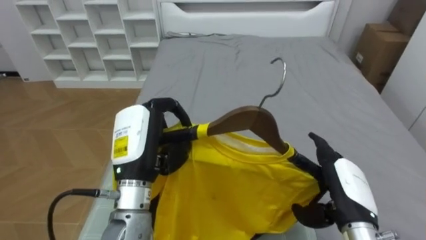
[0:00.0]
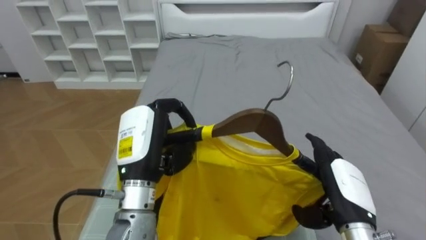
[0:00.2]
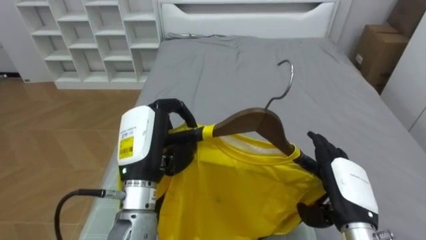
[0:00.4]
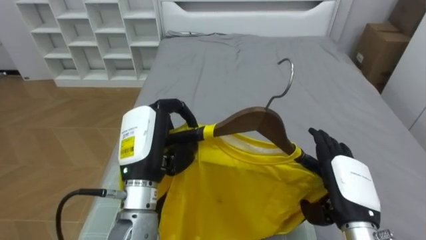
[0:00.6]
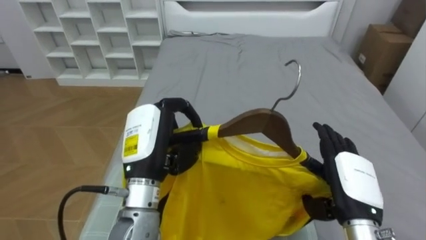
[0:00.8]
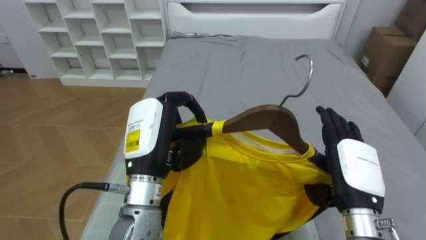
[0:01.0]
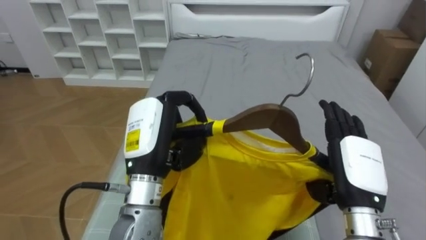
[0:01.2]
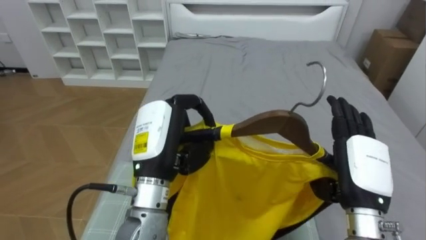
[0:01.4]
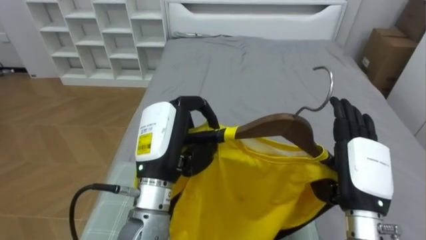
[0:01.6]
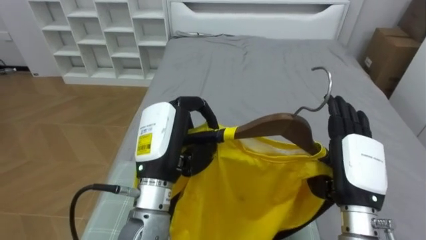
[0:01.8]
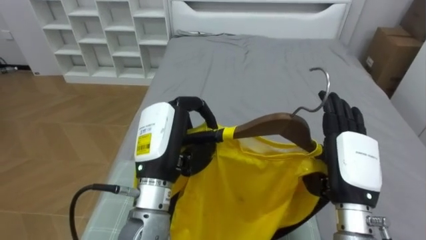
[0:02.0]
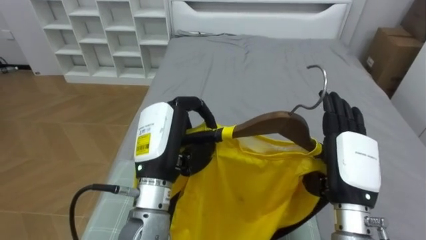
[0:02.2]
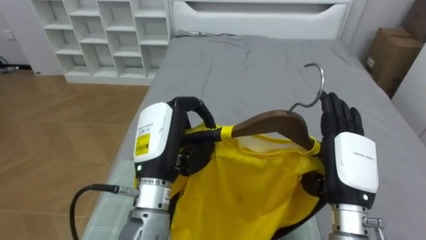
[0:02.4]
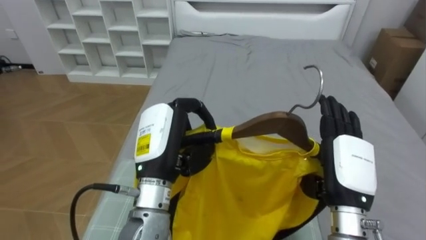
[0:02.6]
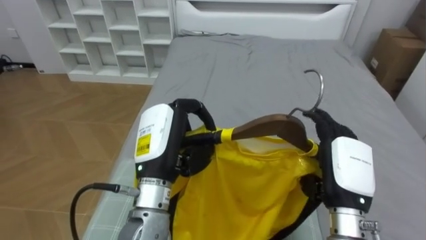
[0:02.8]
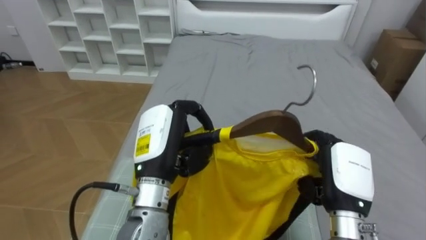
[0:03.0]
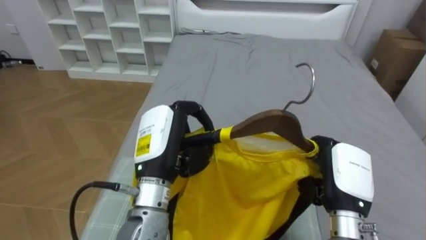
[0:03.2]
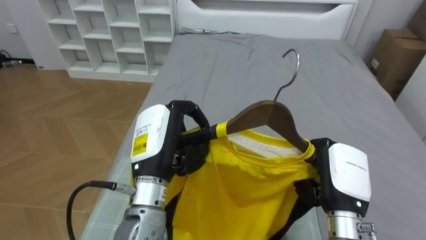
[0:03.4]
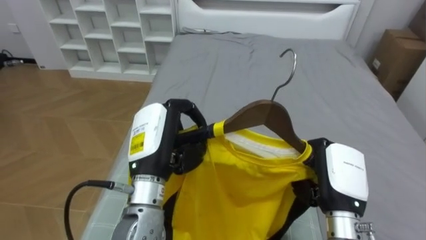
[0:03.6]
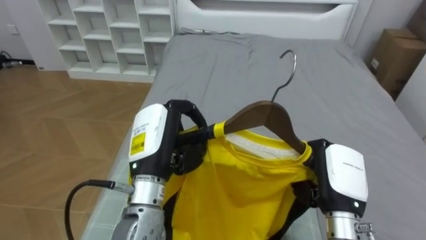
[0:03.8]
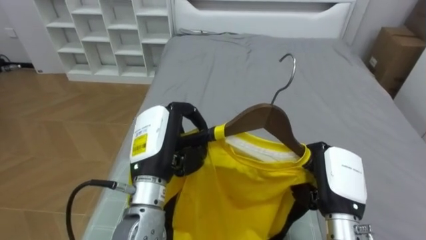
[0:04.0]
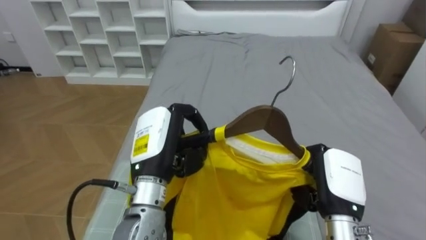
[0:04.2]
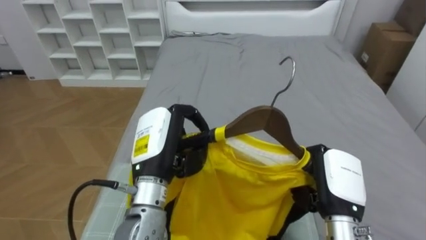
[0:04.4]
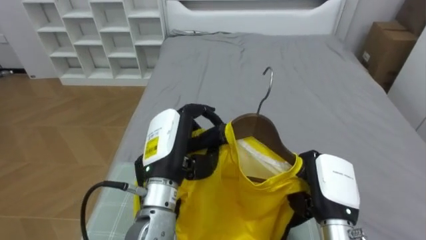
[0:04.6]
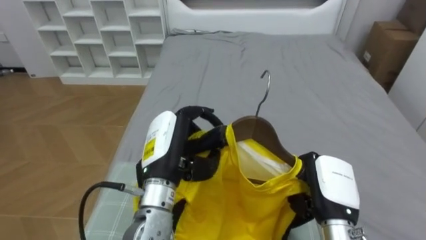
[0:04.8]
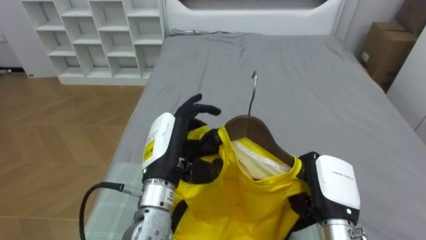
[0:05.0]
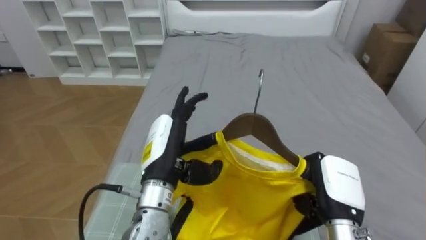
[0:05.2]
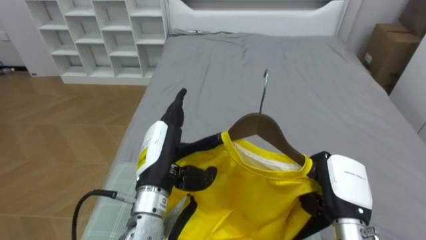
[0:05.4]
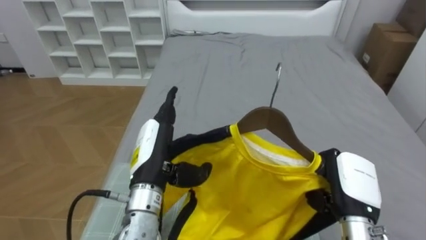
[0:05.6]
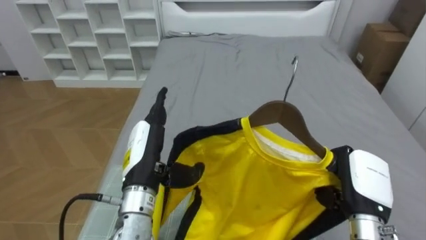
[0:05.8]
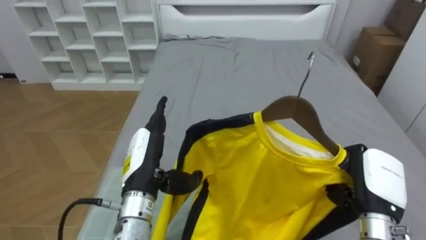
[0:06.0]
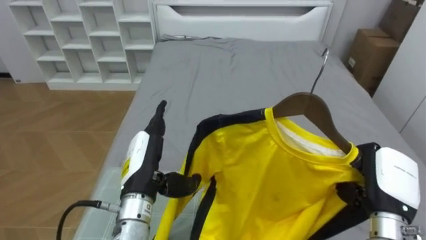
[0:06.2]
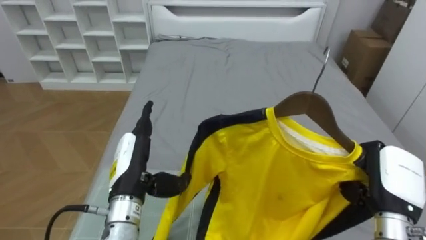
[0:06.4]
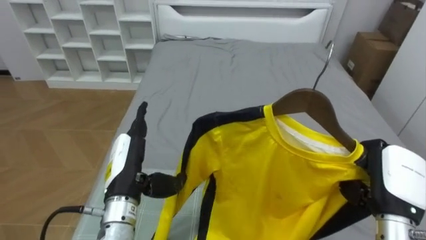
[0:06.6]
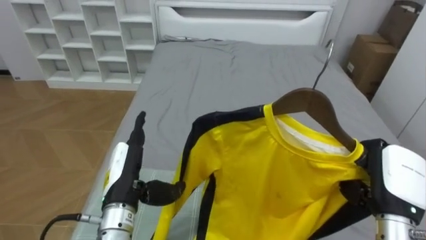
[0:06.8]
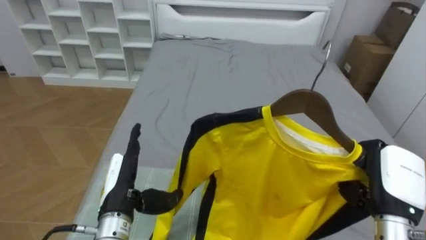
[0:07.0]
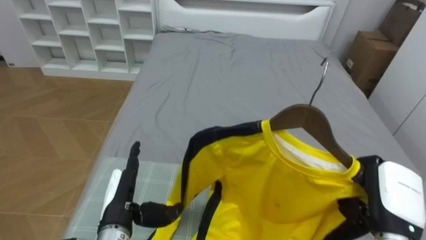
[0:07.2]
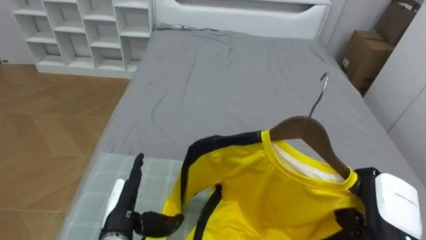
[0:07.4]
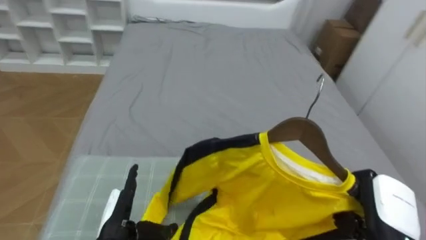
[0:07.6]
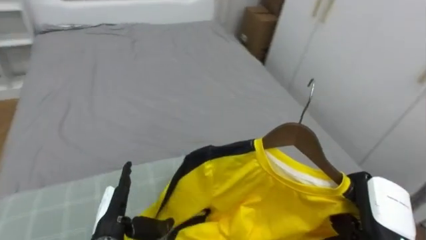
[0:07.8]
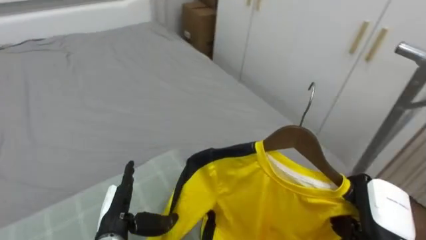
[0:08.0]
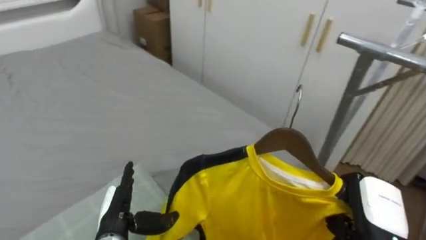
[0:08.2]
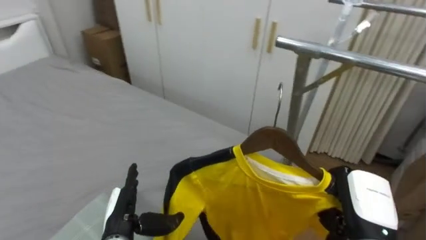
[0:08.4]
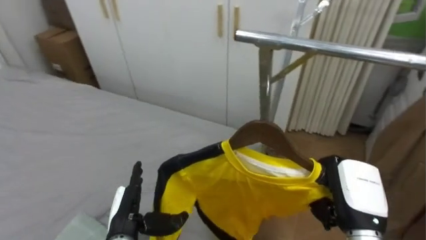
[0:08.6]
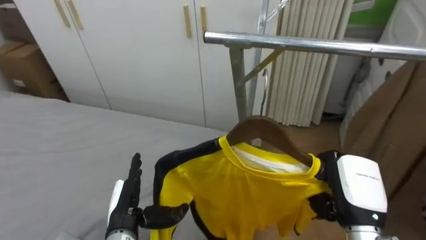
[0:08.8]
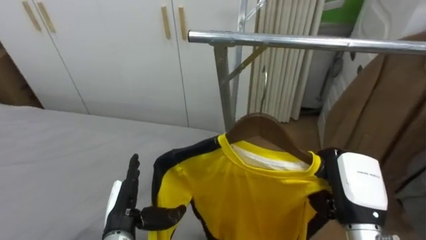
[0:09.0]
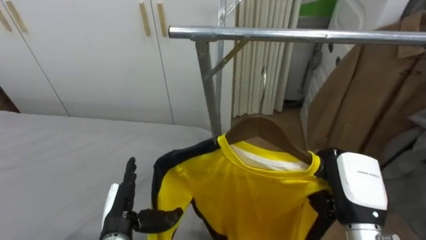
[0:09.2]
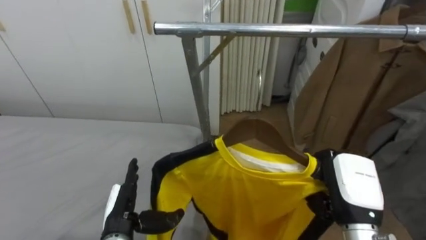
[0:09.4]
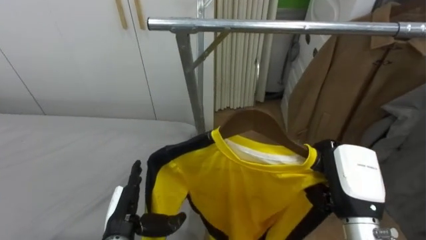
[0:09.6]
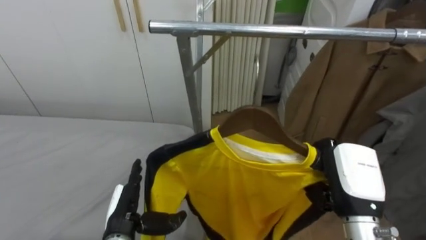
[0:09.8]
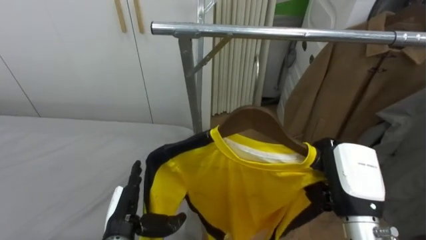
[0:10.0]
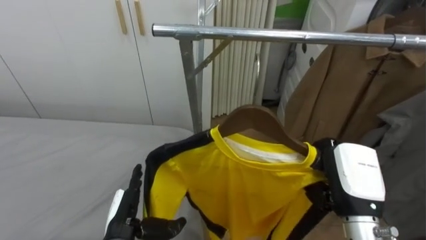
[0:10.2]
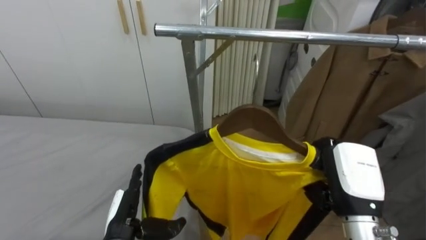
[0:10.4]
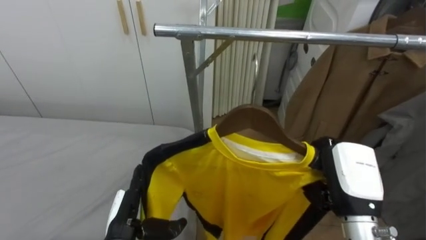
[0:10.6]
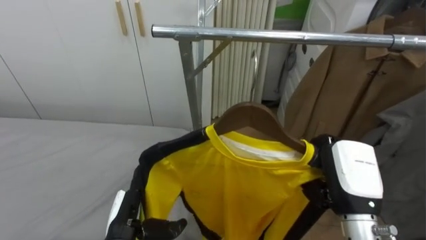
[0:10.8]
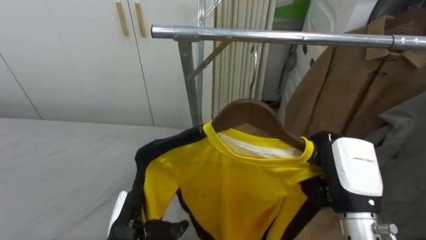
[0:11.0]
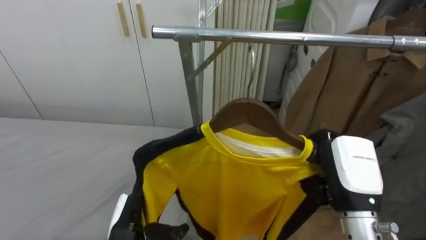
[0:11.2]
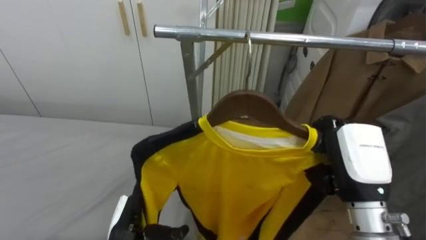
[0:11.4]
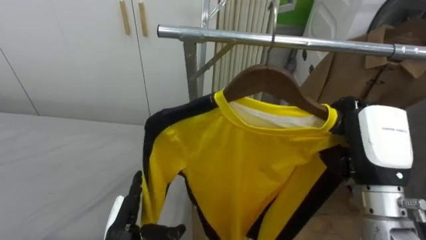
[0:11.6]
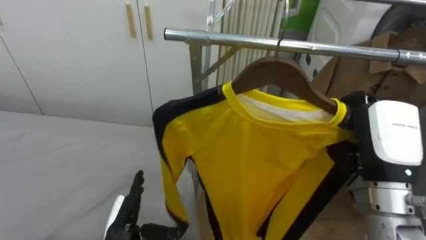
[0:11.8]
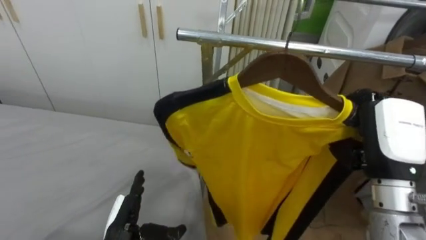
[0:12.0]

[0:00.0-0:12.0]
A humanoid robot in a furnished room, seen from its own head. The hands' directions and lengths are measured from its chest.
Task of the whole recording: Pick up the yellow shirt on the bed and hang it on the clothes rack on the right.
0:00.0 to 0:01.6: The right hand moves roughly 5 cm.
0:01.6 to 0:03.0: The right hand closes its fingers.
0:03.0 to 0:04.4: The right hand closes its fingers.
0:04.4 to 0:06.0: The right hand is displaced to the right by about 5 cm. Meanwhile the left hand changes place by some 5 cm, and opens its fingers.
0:06.0 to 0:07.6: The left hand travels downward and to the left by roughly 15 cm.
0:07.6 to 0:09.0: The robot faces approximately 70 degrees further to its right. The right hand goes about 5 cm to the left.
0:10.4 to 0:12.0: The right hand travels upward by approximately 10 cm.

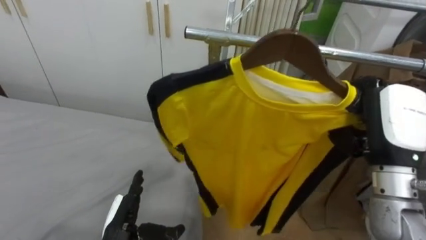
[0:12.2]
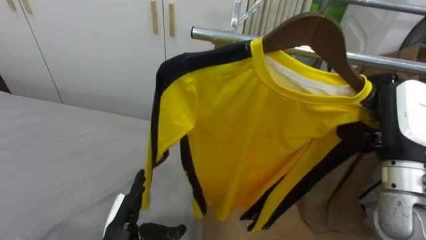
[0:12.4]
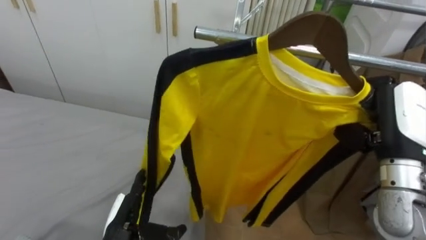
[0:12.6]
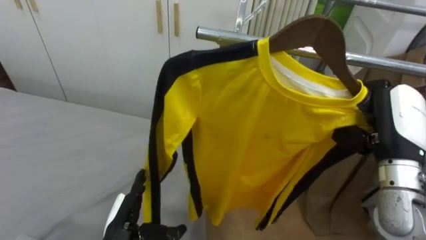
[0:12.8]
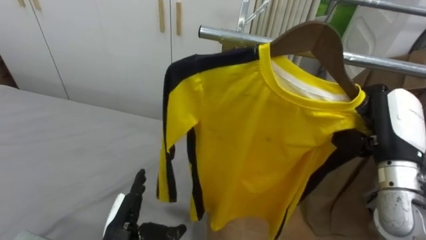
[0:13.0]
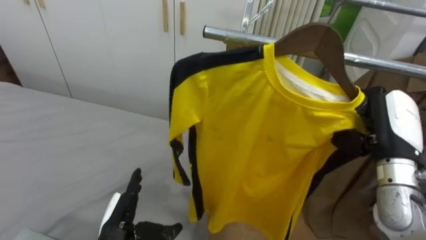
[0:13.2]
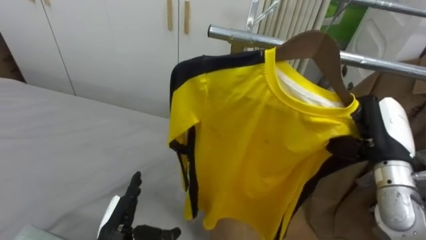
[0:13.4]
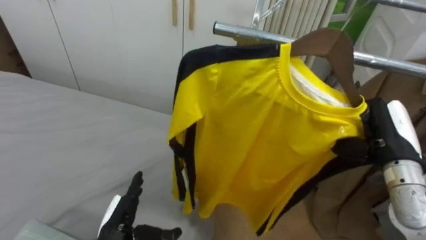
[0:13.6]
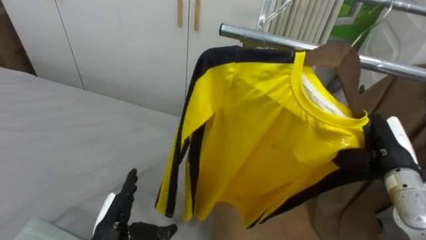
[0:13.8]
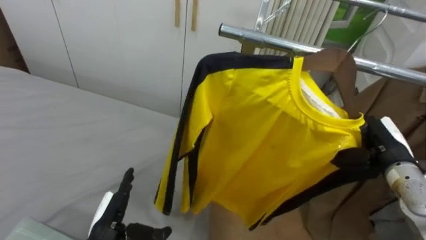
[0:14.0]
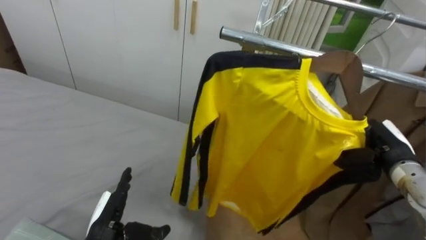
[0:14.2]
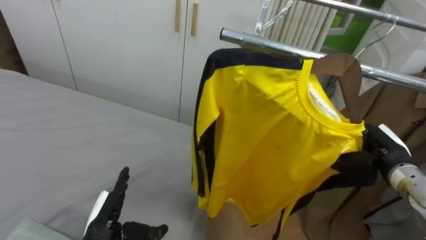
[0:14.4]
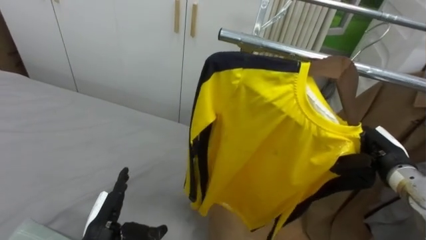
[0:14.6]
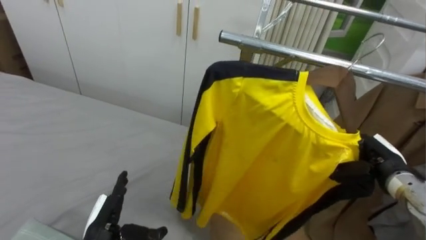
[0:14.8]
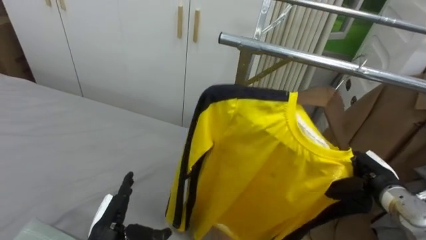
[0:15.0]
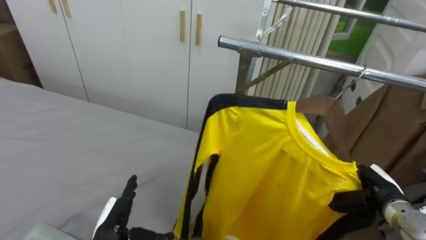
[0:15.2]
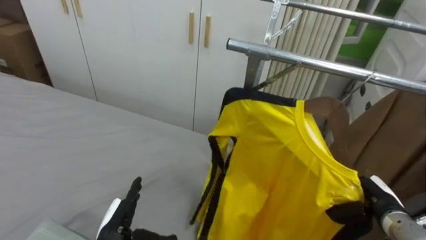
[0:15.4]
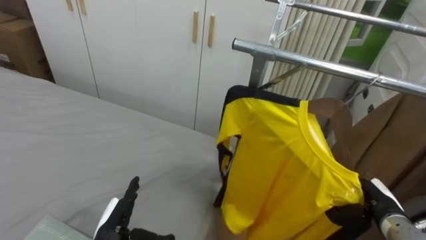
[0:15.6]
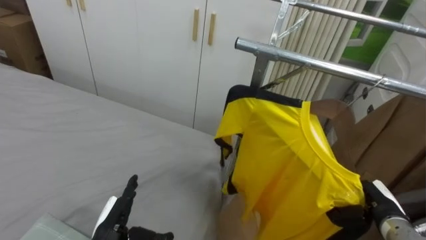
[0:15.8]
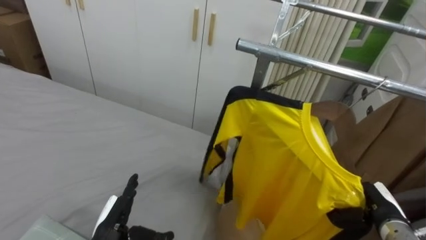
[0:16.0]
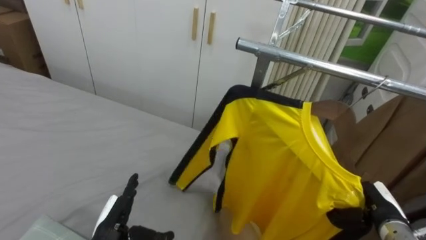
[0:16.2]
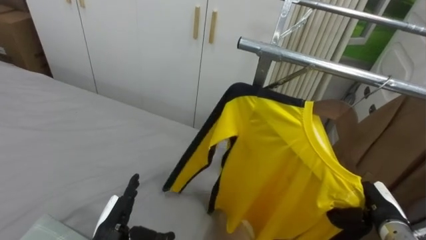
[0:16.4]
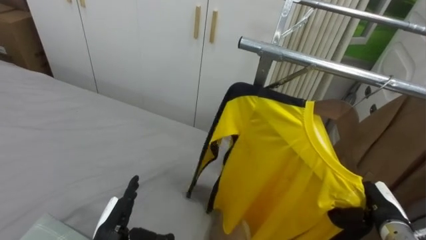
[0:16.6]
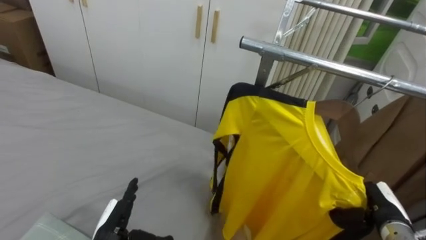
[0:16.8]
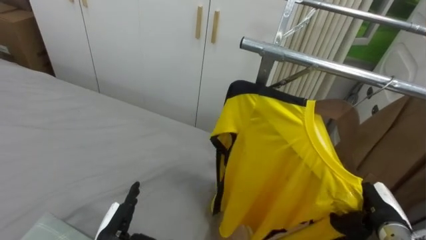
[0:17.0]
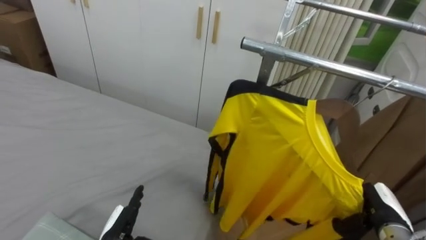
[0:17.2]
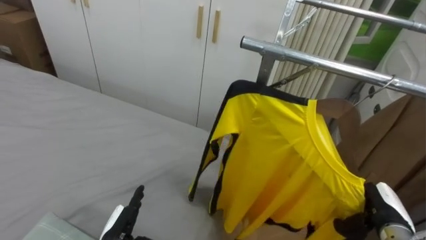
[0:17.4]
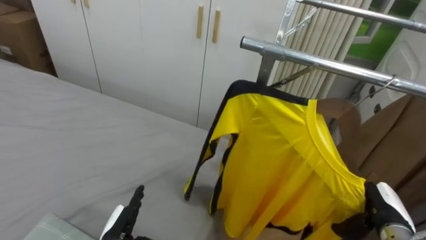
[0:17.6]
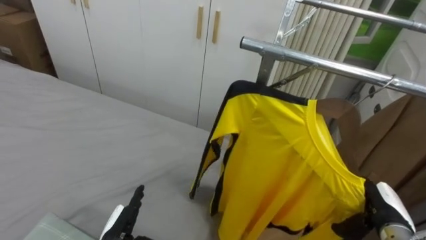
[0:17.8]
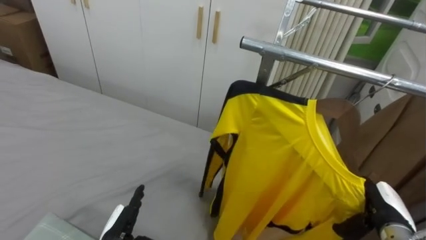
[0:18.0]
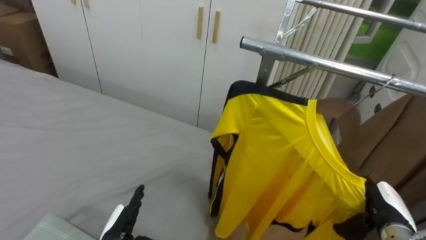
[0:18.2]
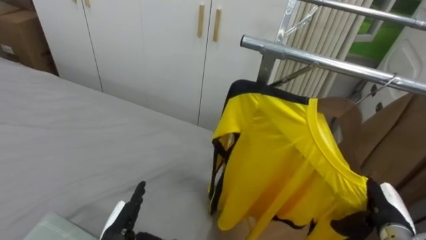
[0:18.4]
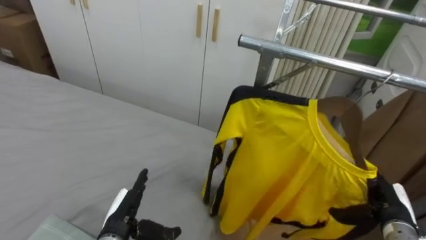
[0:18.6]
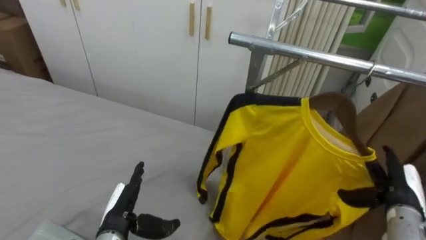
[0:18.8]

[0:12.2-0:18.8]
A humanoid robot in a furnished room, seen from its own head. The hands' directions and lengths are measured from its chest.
Task of the whole recording: Pick up the yellow shirt on the bed and hang it on the clothes rack on the right.
0:12.2 to 0:13.8: The right hand heads downward and to the right, covering some 10 cm.
0:13.8 to 0:15.4: The right hand shifts roughly 15 cm downward.
0:17.2 to 0:18.8: The right hand opens up.
